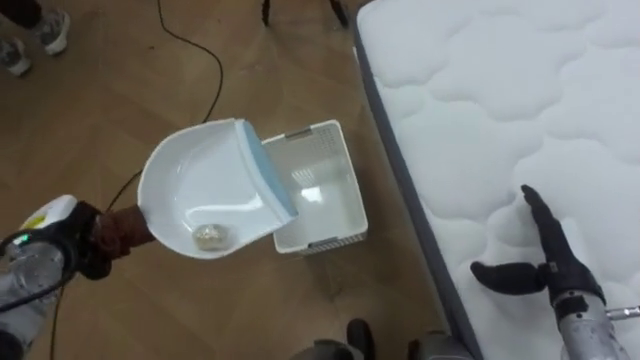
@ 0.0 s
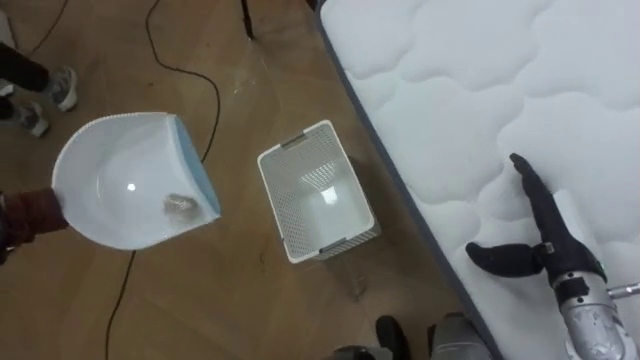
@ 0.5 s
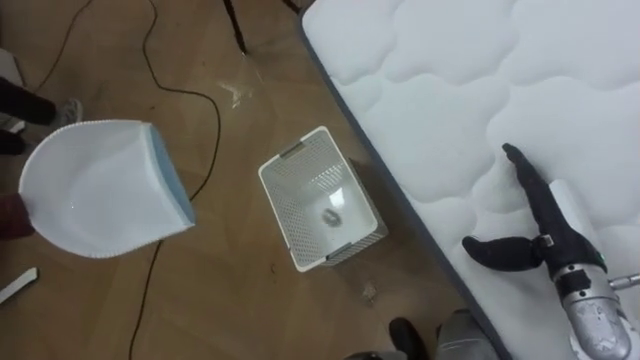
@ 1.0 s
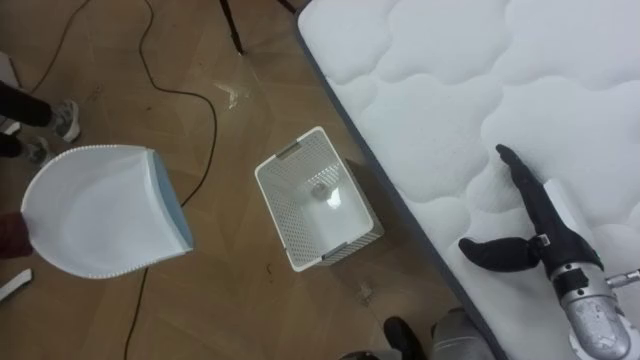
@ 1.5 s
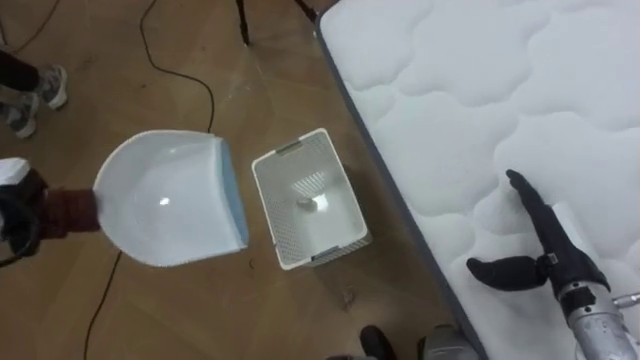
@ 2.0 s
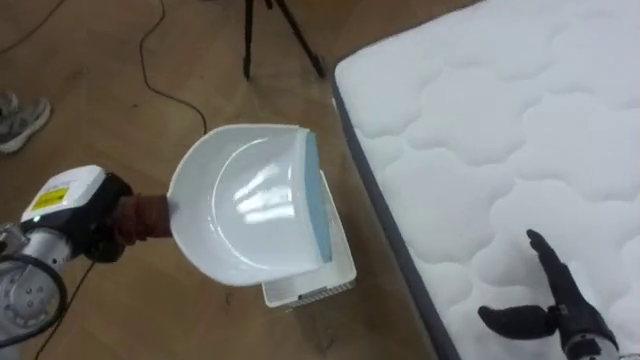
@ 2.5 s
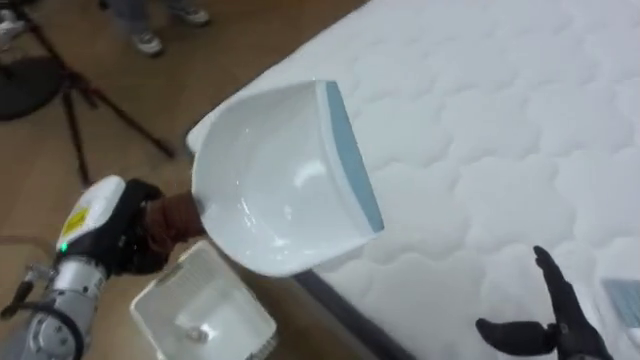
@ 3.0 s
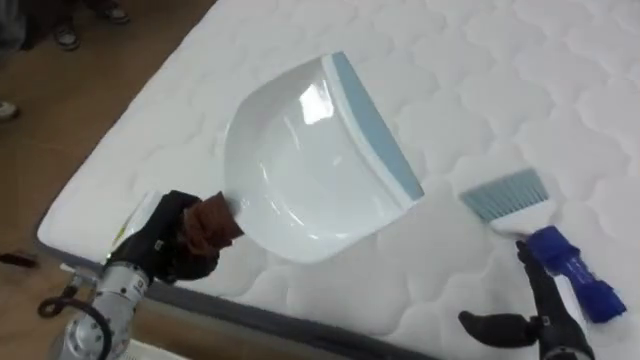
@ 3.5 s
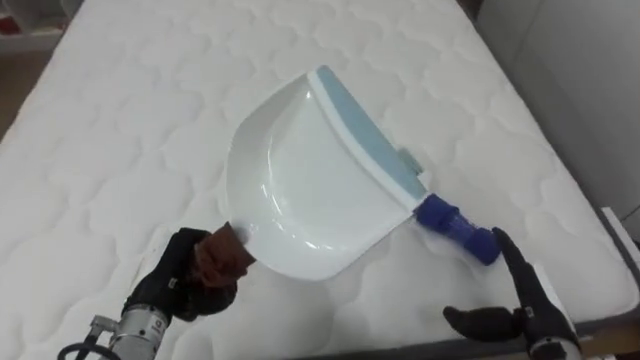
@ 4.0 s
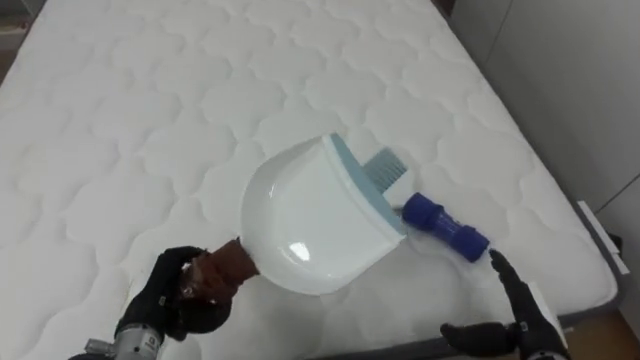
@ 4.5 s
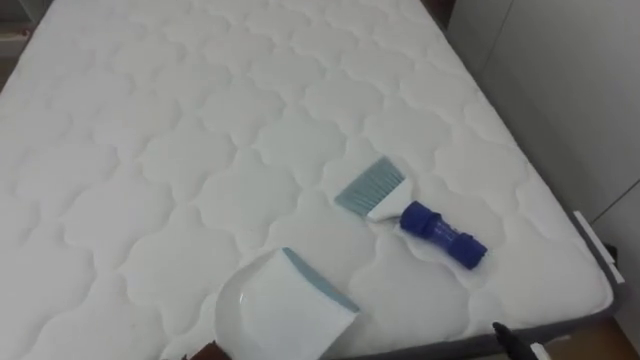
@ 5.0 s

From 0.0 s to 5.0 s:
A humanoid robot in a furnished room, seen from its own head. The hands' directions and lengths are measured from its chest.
Task of the whole recording: Pick up the brush on your right and the dustpan on your left. Use the brush to sweep the crumpled paper on the bed into the dustpan, then turn left and empty it into the basket.
From 2.5 s to 5.0 s: The robot rotates roughly 90 degrees to its right.

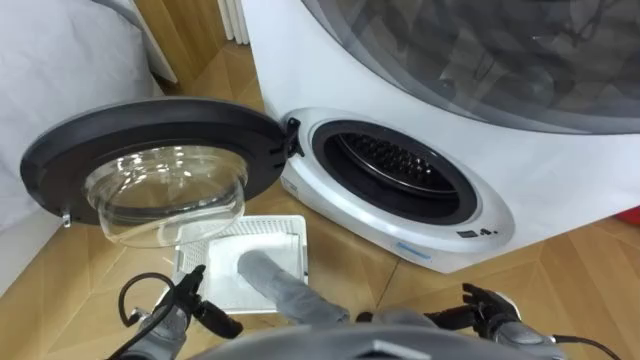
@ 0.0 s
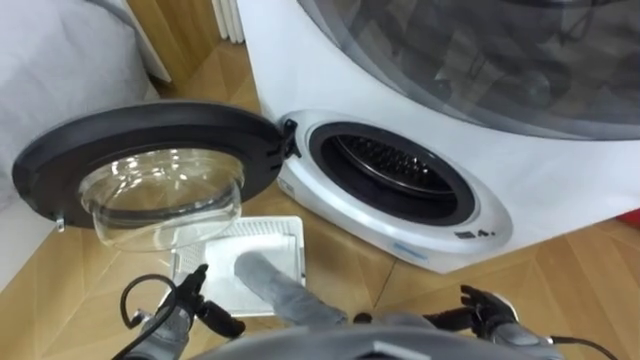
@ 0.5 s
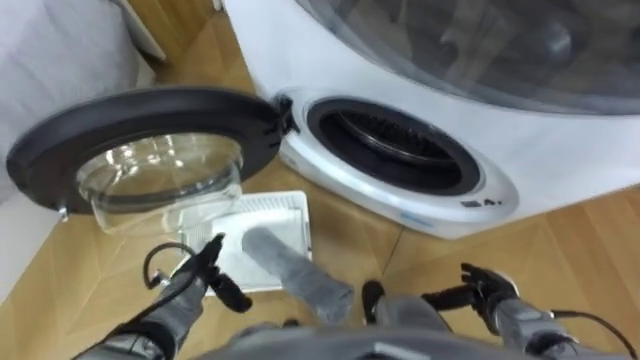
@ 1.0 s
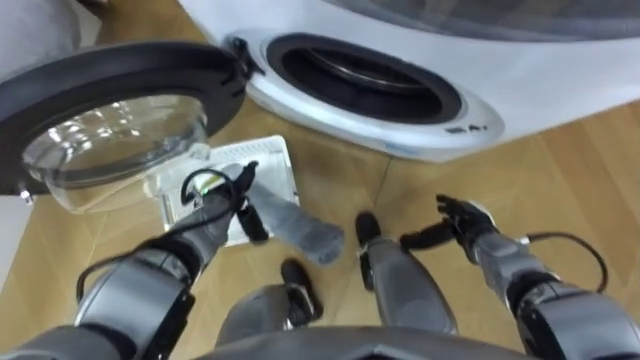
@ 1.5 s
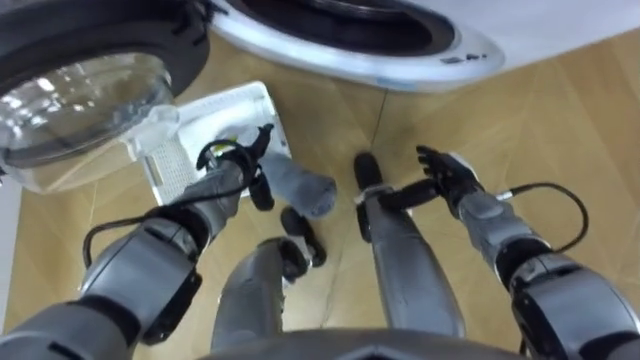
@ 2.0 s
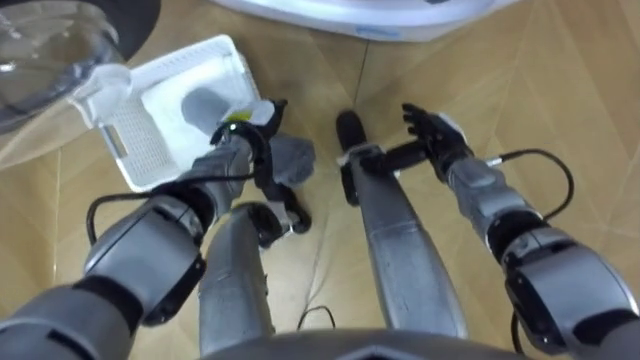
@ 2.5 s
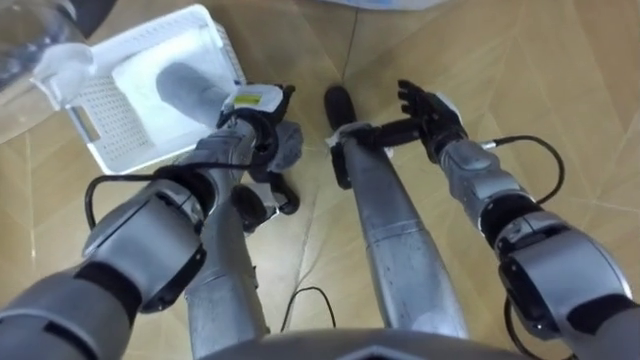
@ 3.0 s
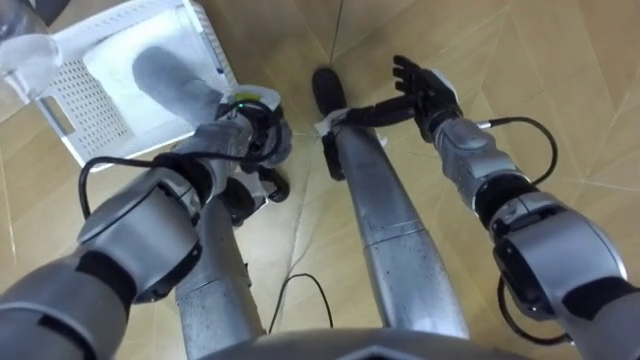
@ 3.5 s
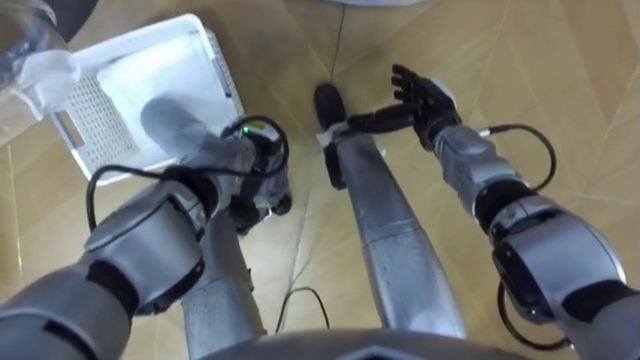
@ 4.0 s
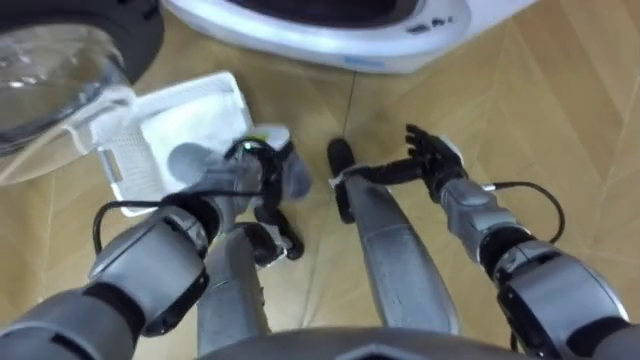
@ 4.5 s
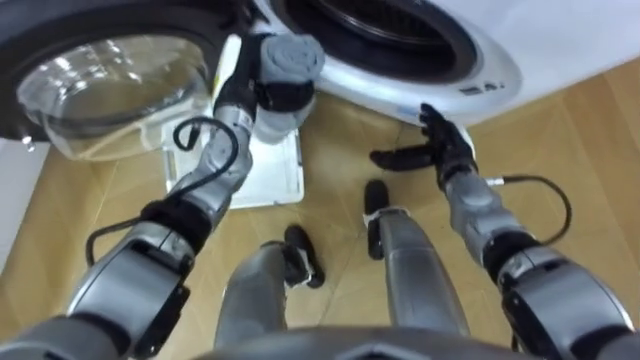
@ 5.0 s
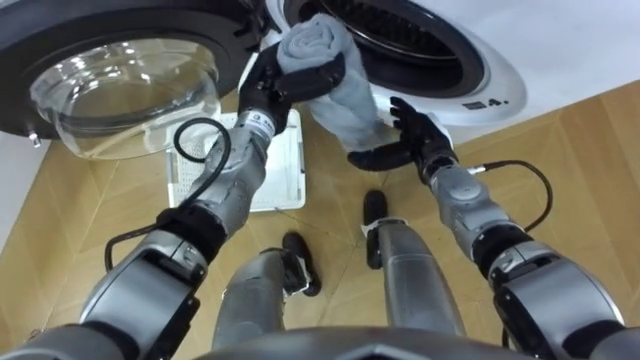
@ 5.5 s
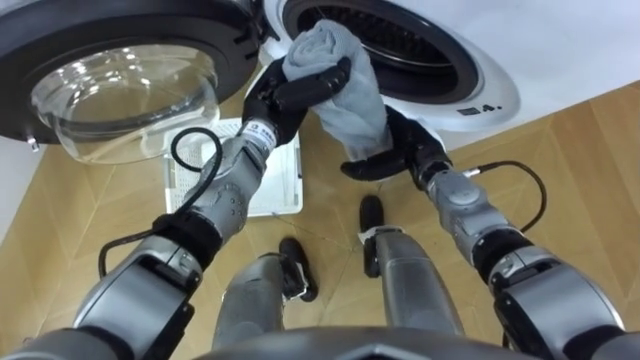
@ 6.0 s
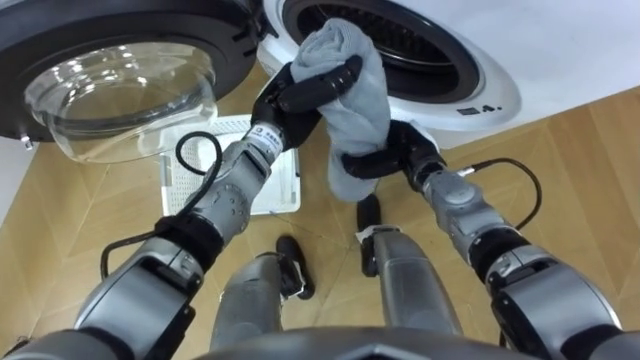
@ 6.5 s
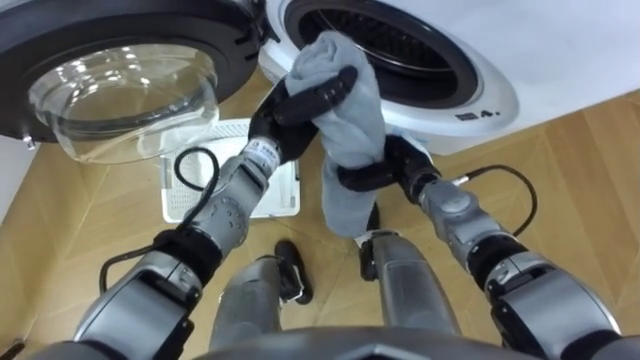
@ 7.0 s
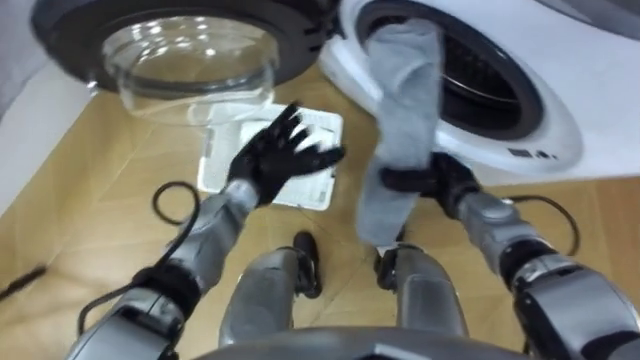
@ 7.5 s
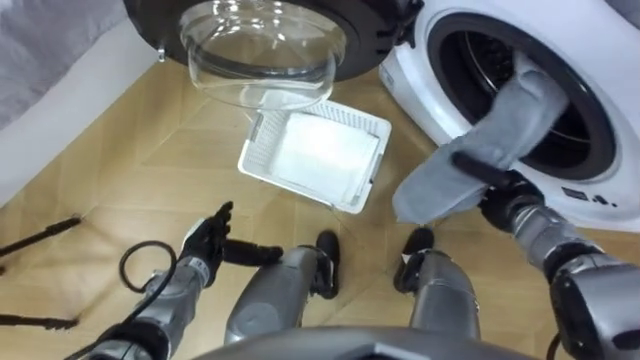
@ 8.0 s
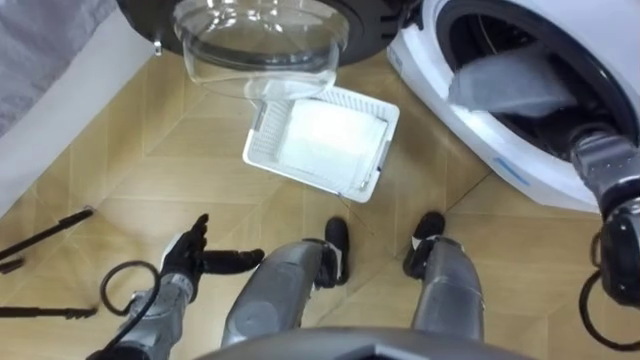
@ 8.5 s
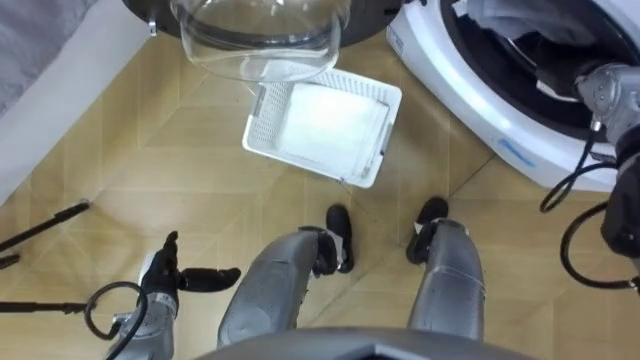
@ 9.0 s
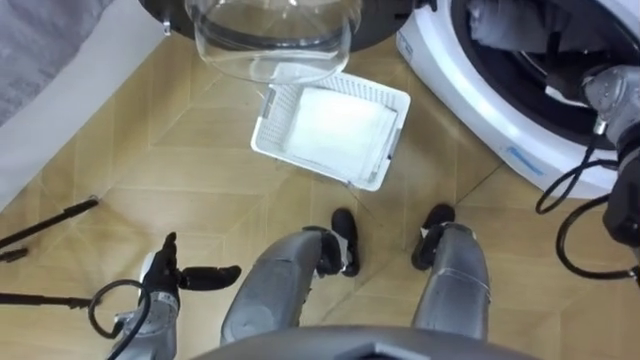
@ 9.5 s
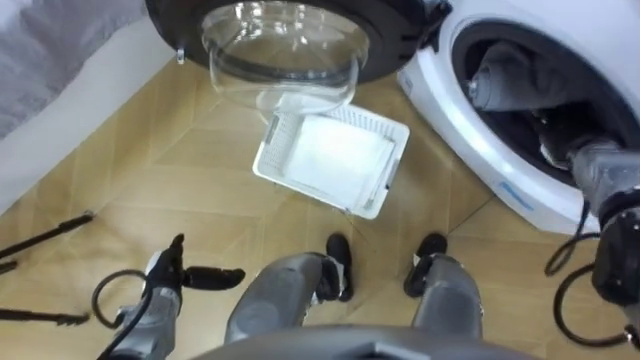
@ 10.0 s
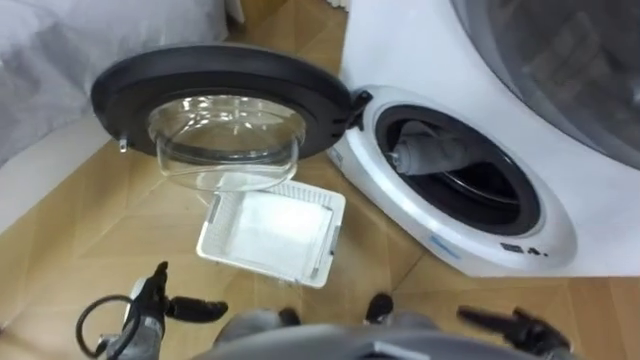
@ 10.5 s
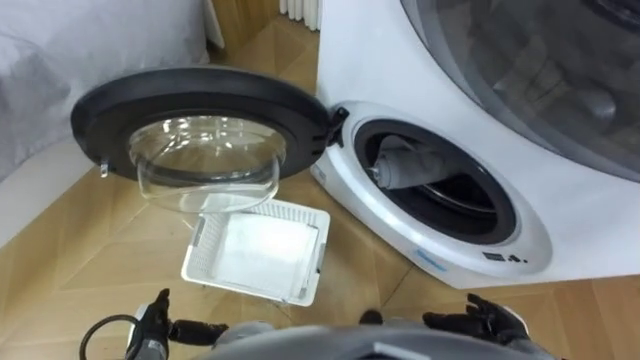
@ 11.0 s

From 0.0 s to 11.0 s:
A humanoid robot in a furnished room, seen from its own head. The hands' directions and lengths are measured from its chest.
Task of the whole recording: Take the towel from the basket and put it into the washing machine.
From 2.0 s to 3.5 s: The left hand ends up roughly 5 cm from where it was. The right hand shifts some 10 cm forward and upward.
From 3.5 s to 5.5 s: The left hand is displaced upward by some 5 cm.
From 5.5 s to 7.5 s: The right hand ends up about 5 cm from where it was, and closes up, while the left hand is displaced downward and backward by approximately 10 cm, and opens its fingers.
From 7.5 s to 9.0 s: The left hand heads backward, to the left and downward, covering about 25 cm, while the right hand shifts some 25 cm to the right, upward and forward.
From 9.0 s to 11.0 s: The left hand is displaced backward by approximately 5 cm. The right hand heads backward and downward, covering some 40 cm.

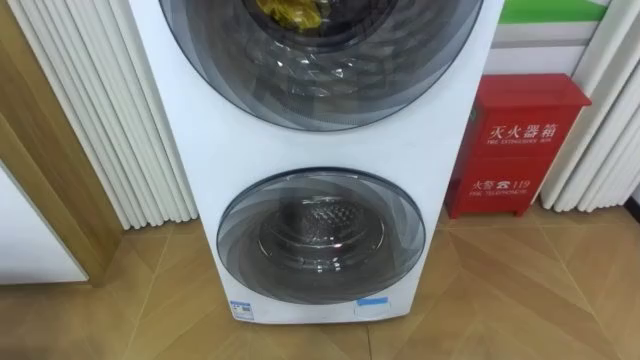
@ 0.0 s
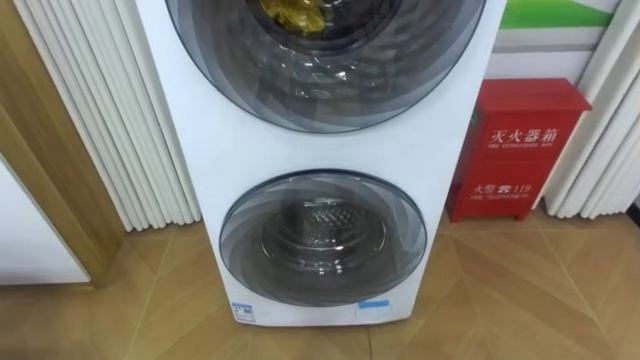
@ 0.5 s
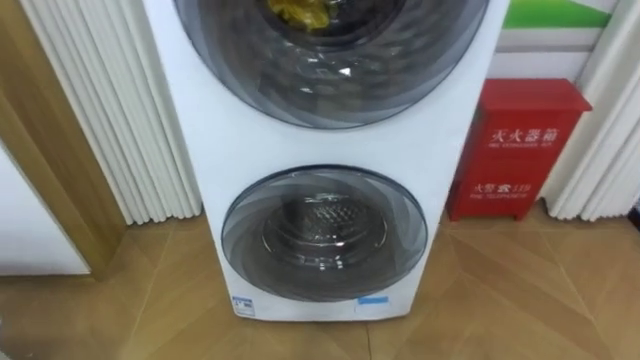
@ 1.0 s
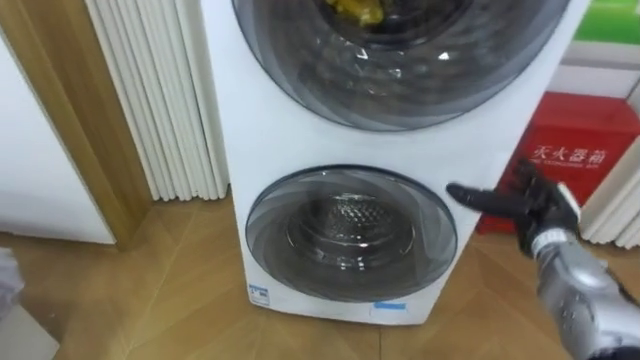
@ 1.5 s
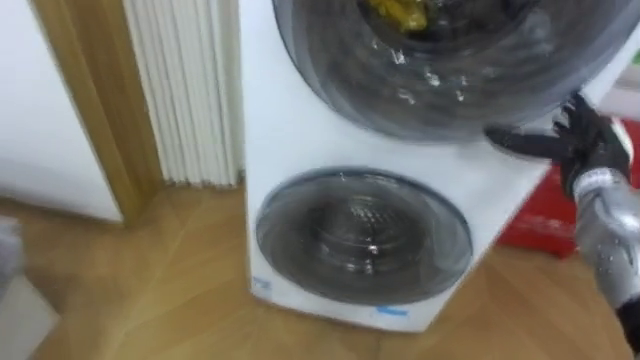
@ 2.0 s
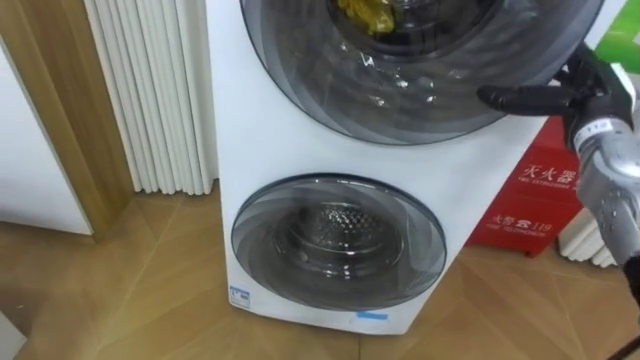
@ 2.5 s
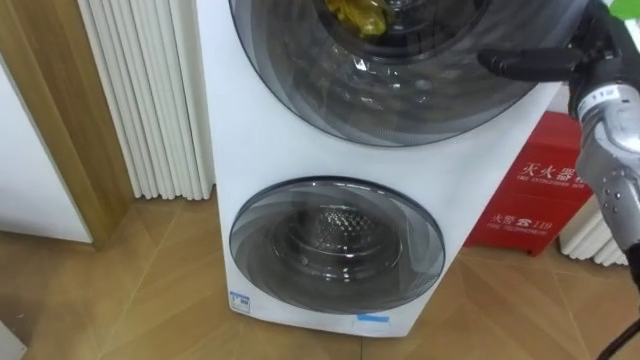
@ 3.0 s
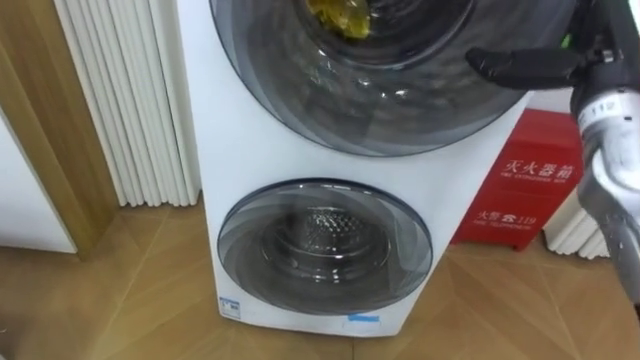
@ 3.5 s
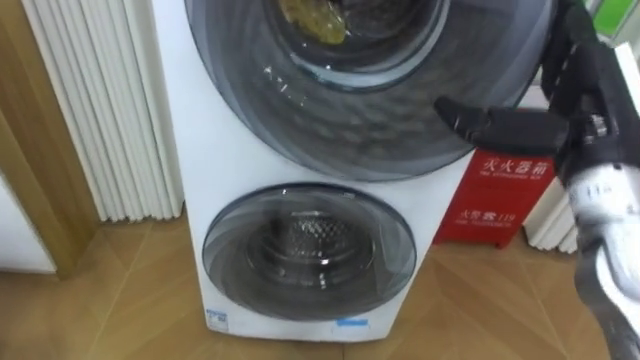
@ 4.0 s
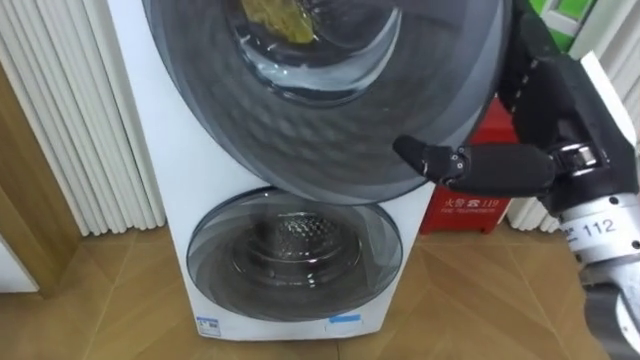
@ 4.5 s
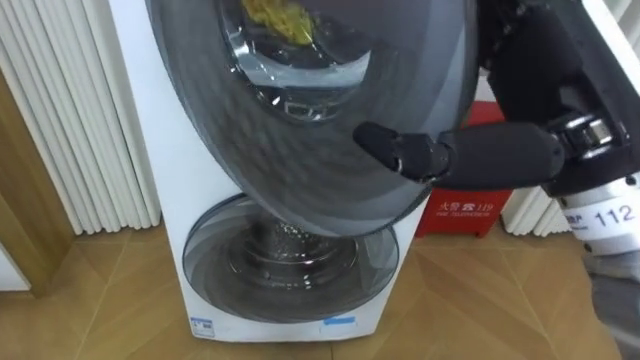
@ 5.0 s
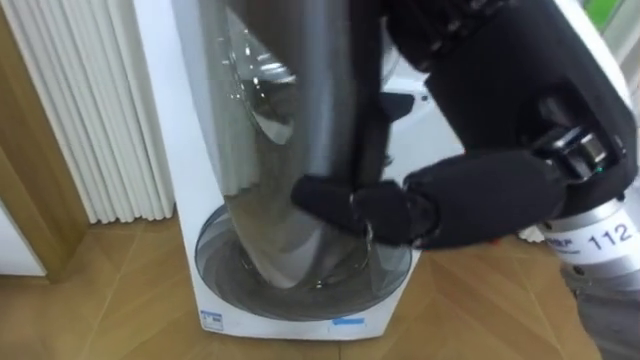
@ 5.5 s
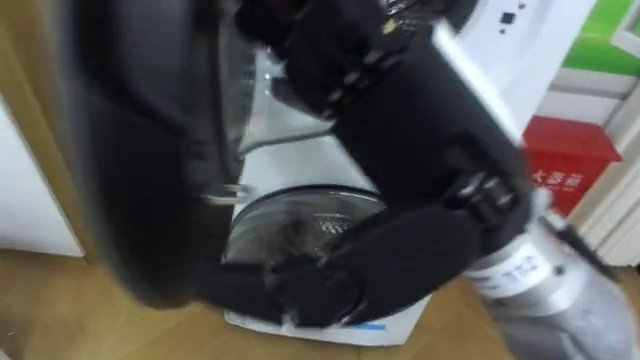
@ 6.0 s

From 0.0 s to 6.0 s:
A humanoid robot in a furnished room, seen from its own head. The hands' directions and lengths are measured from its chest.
Task of the whole recording: Open the washing machine door, take out the yellow clothes, place them in the box on the right, and close the washing machine door.
From 2.0 s to 4.0 s: The right hand travels upward, backward and to the left by approximately 15 cm.
From 4.0 s to 6.0 s: The right hand moves to the left and backward, about 20 cm.
